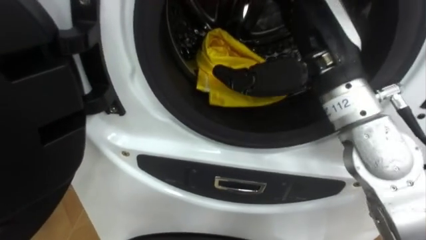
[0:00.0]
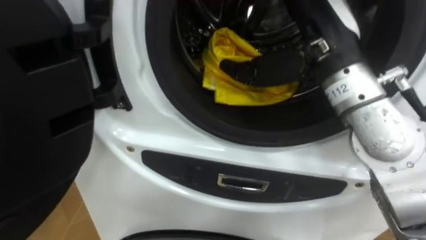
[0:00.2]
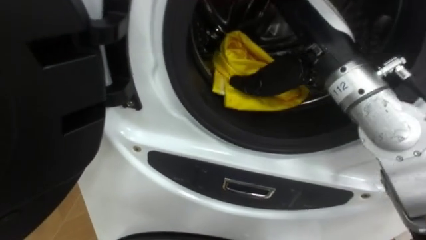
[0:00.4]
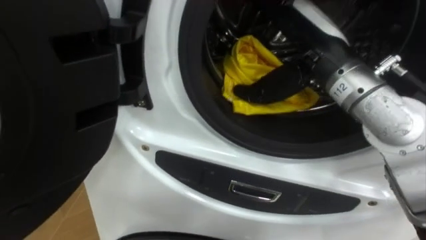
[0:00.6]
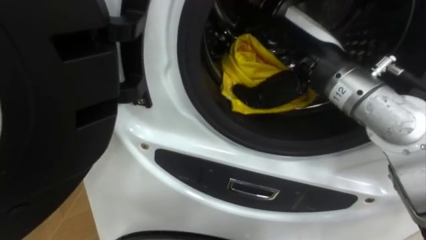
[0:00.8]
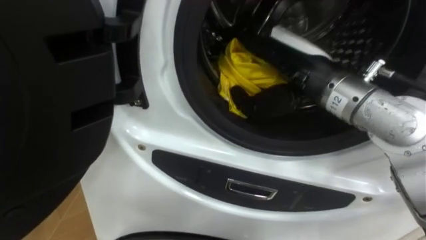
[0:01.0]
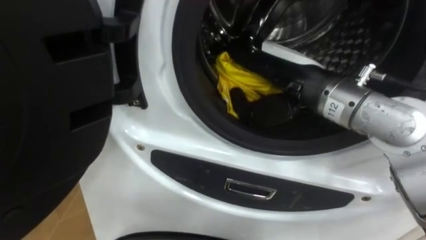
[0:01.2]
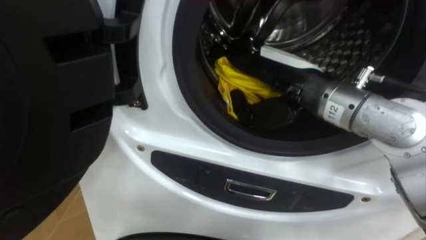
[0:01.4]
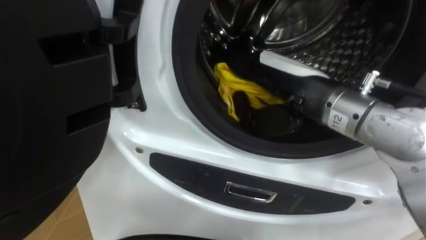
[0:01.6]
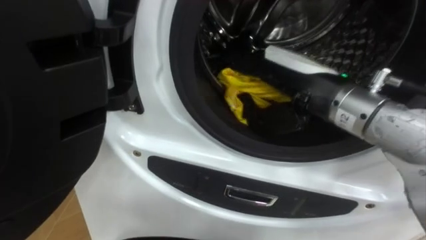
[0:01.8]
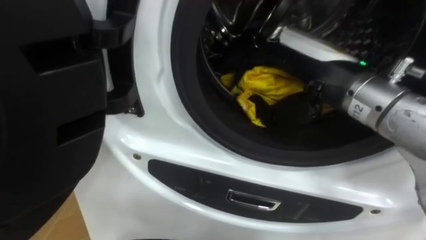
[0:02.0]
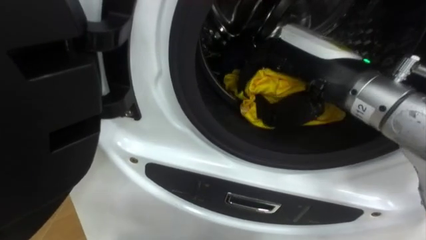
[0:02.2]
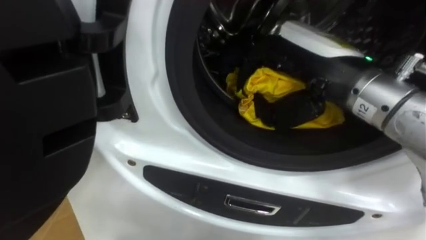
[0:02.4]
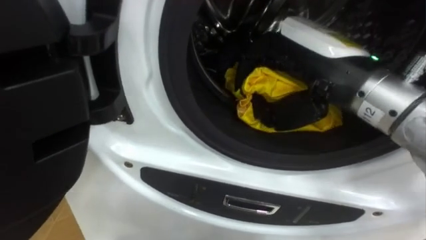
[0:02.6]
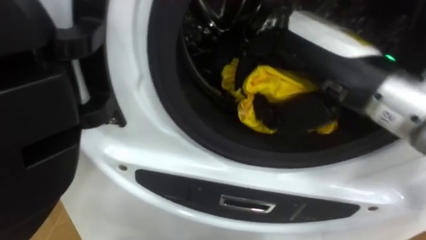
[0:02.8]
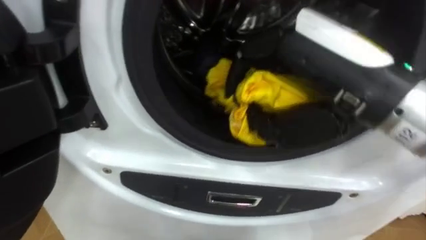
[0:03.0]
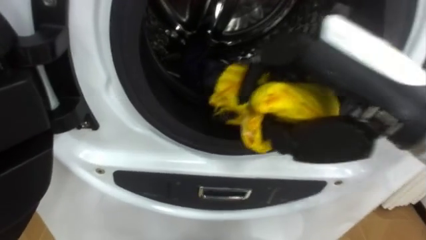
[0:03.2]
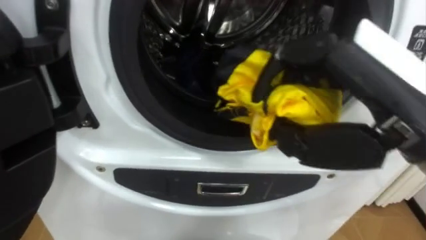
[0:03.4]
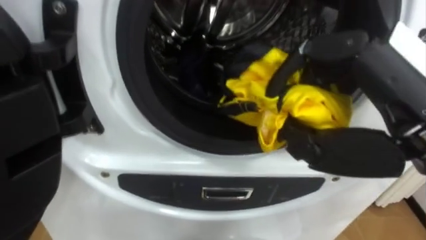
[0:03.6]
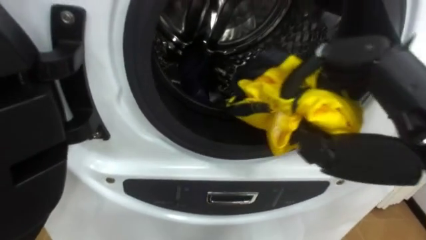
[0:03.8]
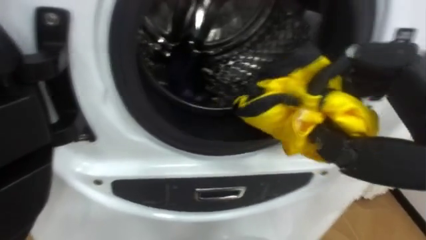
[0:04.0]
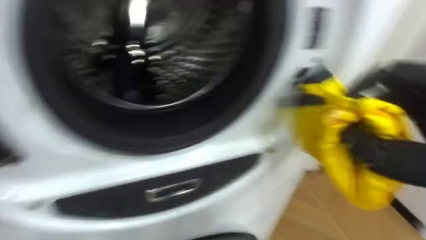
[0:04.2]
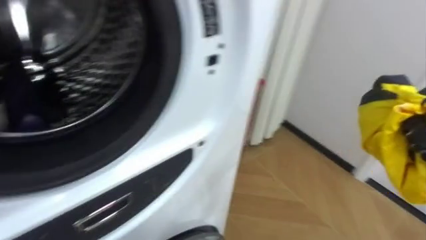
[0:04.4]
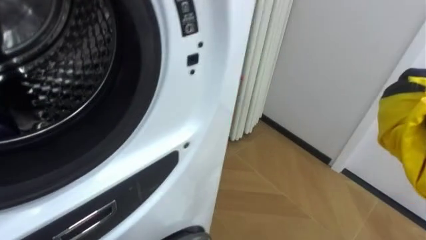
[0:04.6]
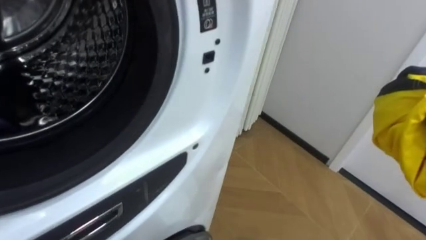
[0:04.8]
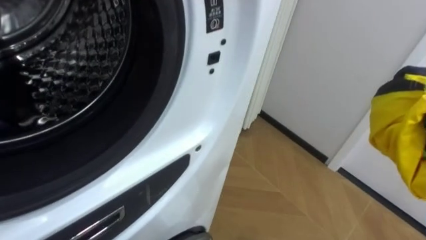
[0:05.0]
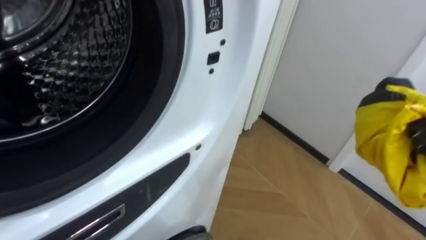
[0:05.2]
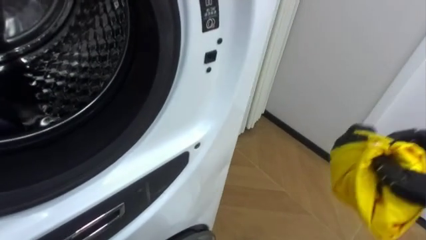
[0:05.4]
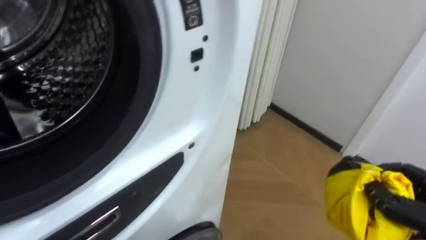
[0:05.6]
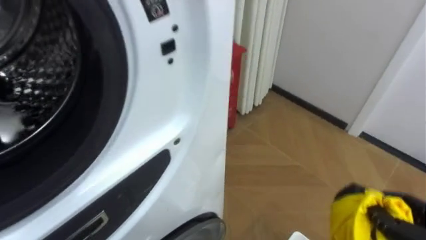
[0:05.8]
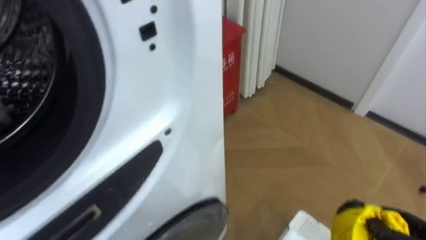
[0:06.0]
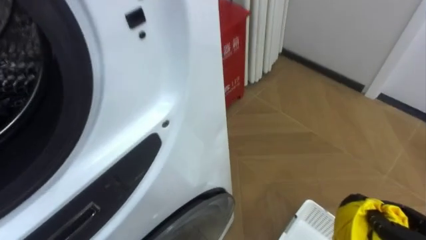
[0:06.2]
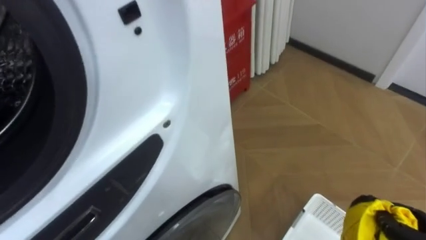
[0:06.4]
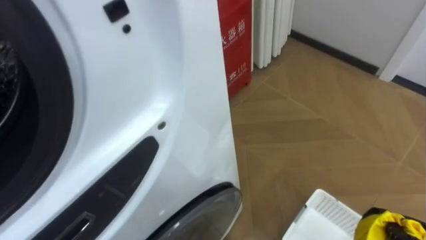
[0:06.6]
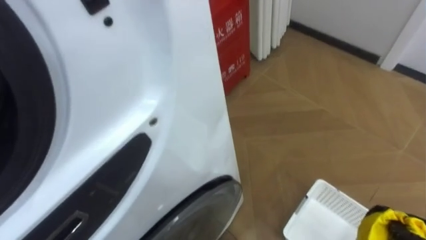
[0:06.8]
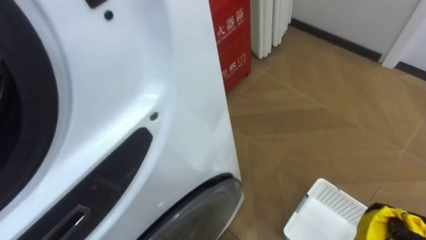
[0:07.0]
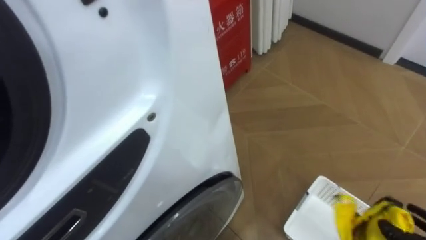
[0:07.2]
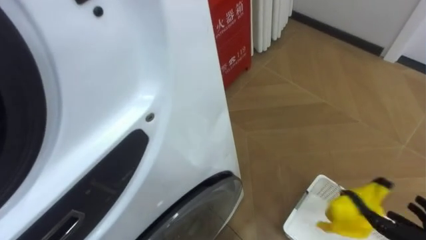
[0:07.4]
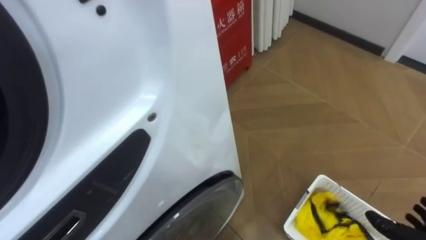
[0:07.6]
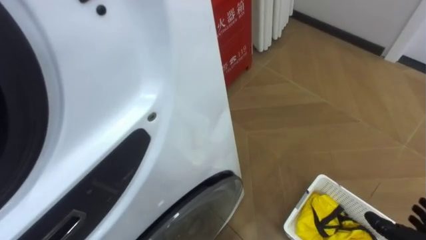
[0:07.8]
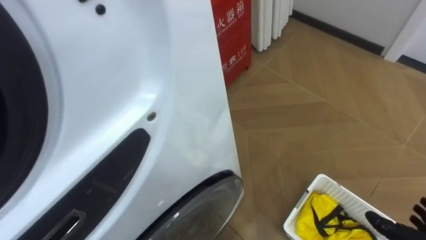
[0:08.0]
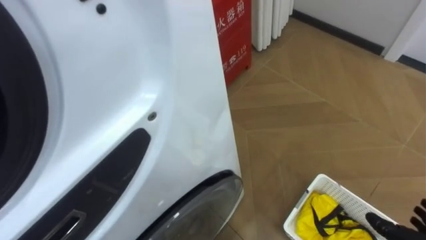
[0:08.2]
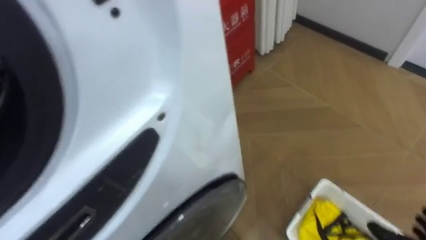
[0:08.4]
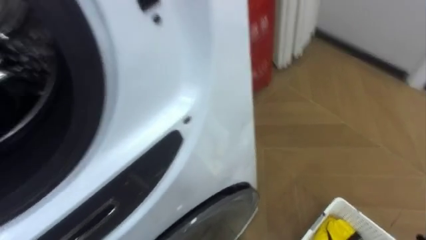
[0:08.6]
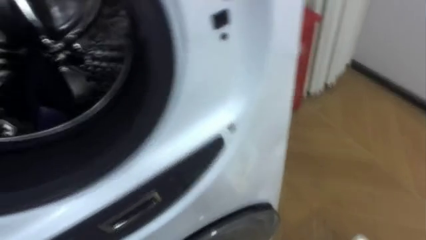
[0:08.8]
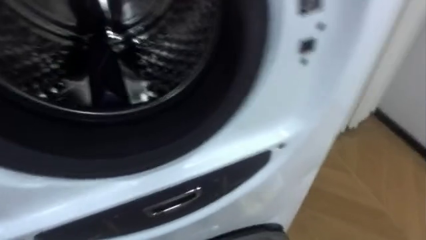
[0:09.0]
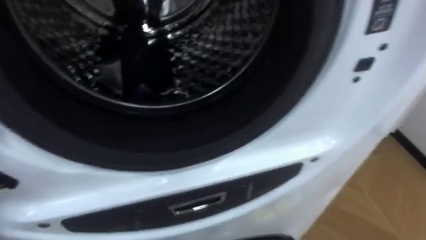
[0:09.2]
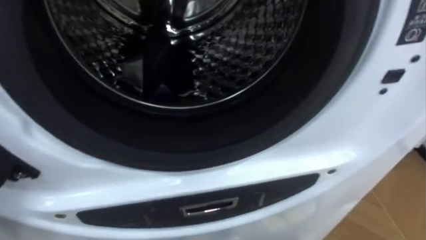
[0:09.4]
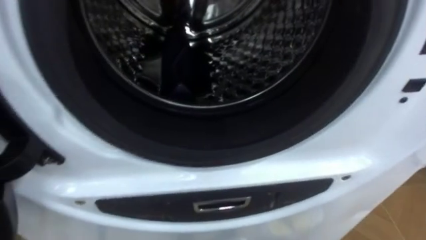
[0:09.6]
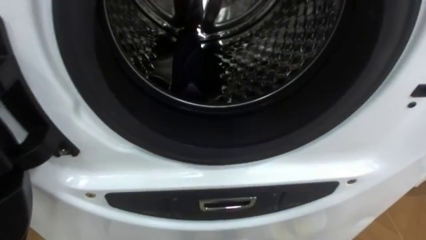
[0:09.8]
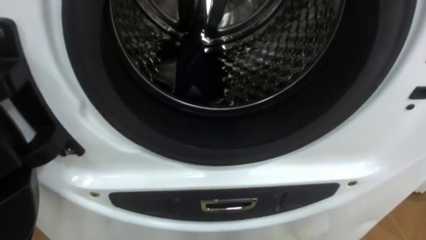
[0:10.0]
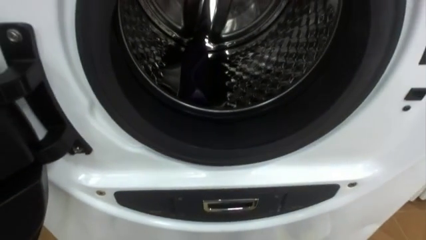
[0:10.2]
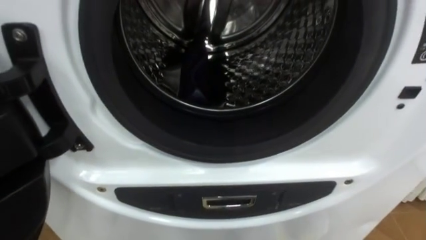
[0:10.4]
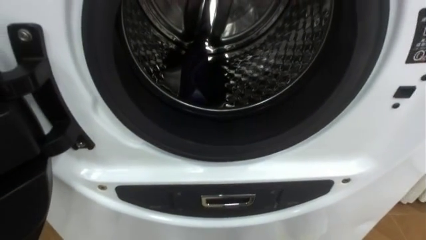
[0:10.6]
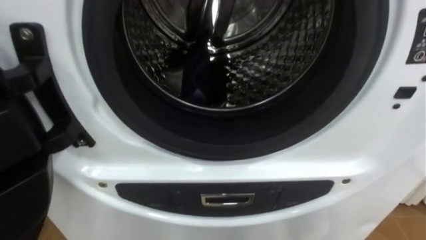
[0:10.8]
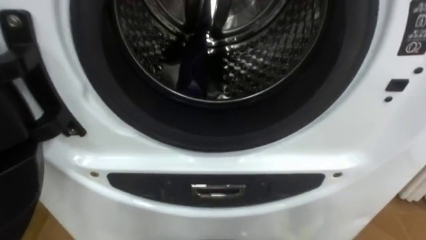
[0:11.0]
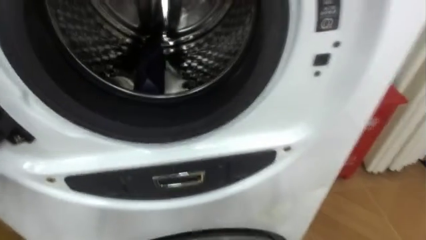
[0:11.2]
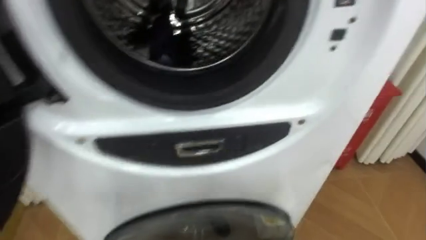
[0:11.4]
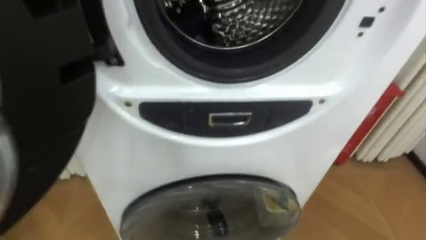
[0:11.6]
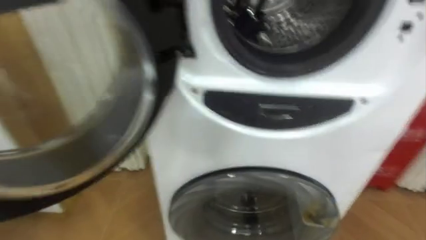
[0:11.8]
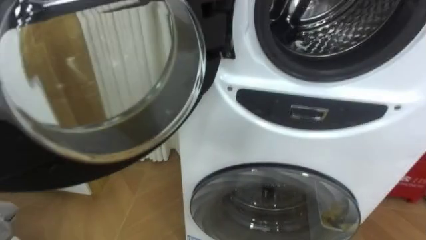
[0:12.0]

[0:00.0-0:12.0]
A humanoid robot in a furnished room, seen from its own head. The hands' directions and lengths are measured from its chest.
Task of the whole recording: Open the washing machine door, take out the yellow clothes, place them in the box on the right, and close the washing machine door.
0:00.0 to 0:01.6: The right hand is displaced downward by some 5 cm.
0:01.6 to 0:03.0: The right hand moves upward and backward, roughly 10 cm, and closes up.
0:10.4 to 0:12.0: The robot turns to its left by some 15 degrees.

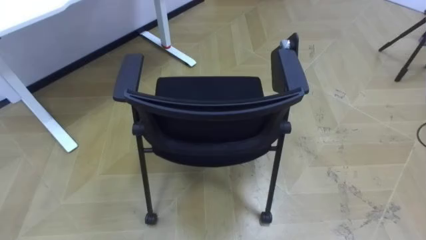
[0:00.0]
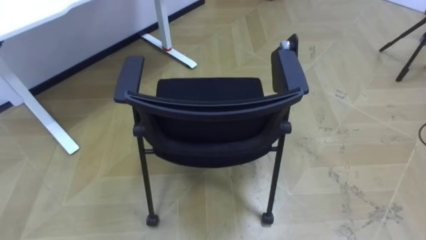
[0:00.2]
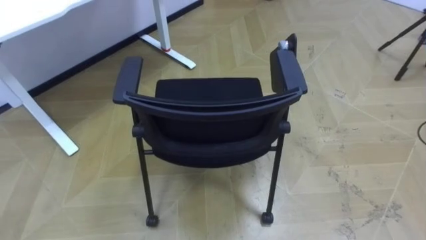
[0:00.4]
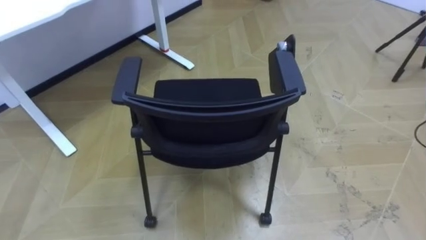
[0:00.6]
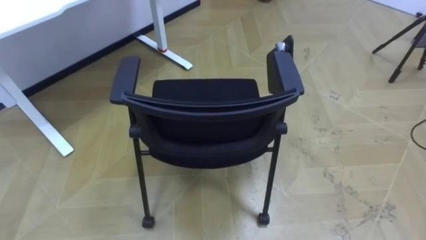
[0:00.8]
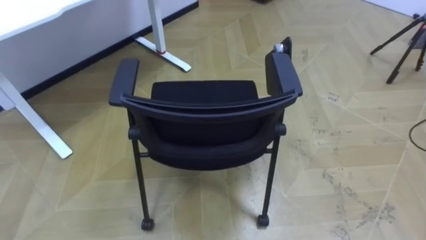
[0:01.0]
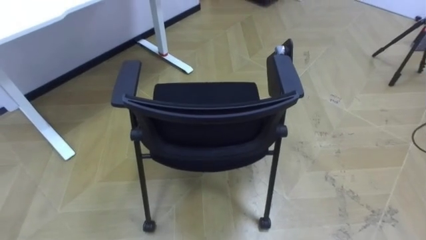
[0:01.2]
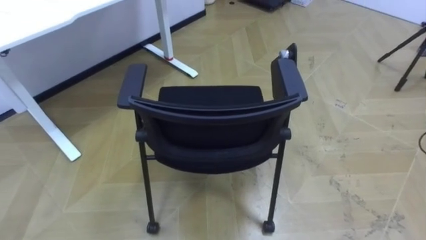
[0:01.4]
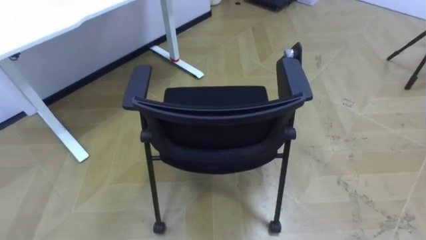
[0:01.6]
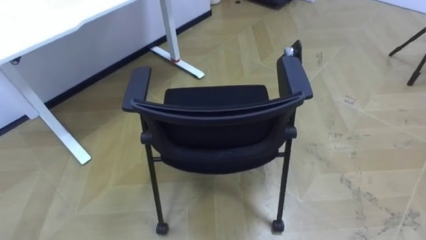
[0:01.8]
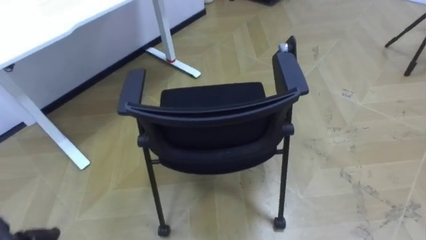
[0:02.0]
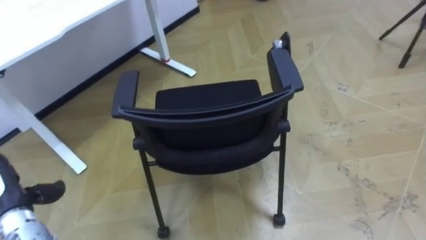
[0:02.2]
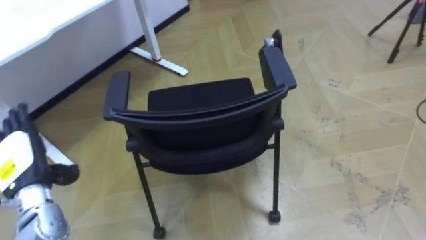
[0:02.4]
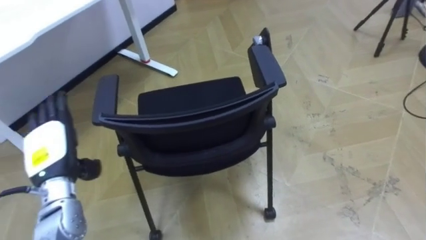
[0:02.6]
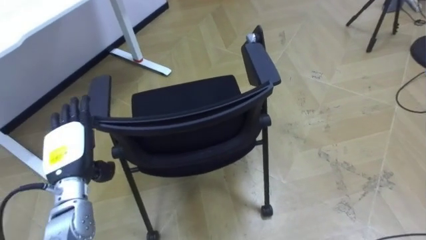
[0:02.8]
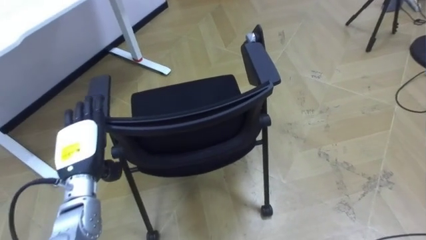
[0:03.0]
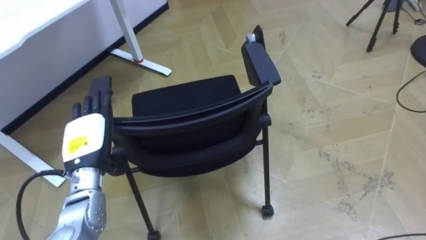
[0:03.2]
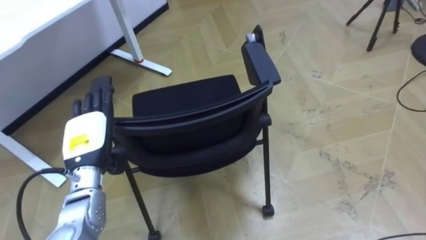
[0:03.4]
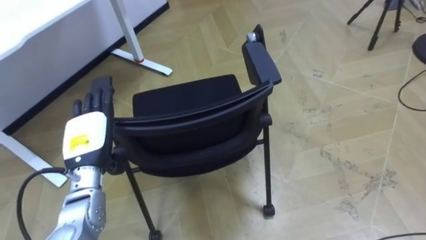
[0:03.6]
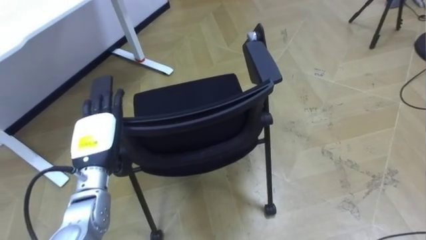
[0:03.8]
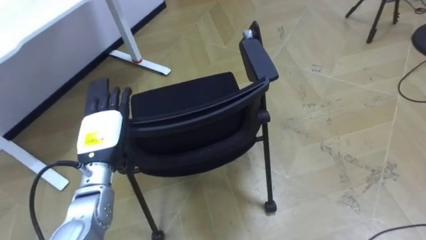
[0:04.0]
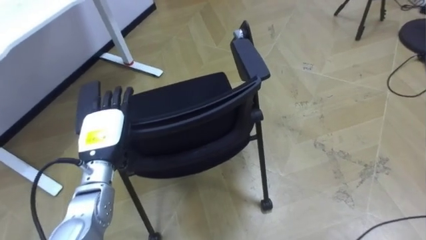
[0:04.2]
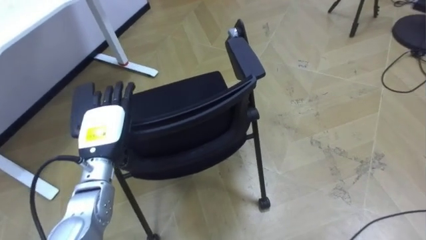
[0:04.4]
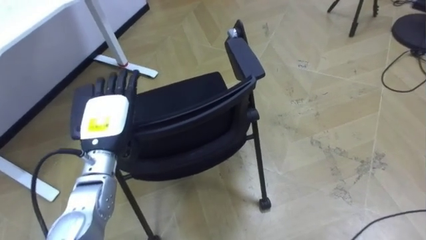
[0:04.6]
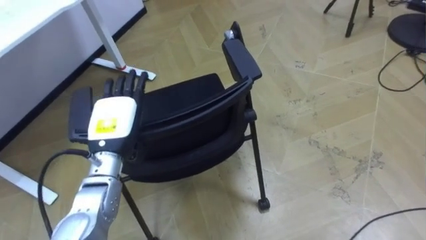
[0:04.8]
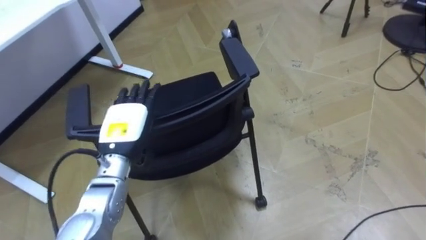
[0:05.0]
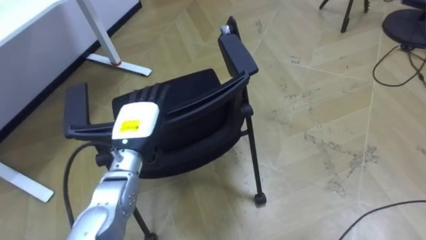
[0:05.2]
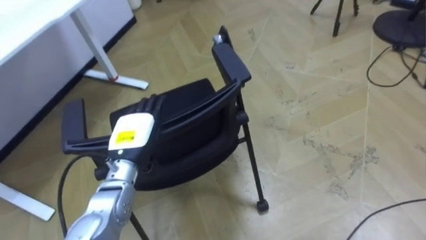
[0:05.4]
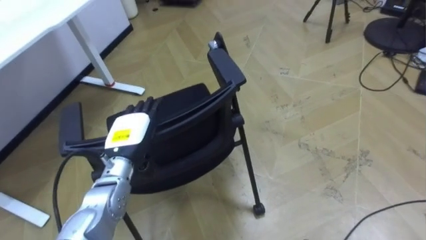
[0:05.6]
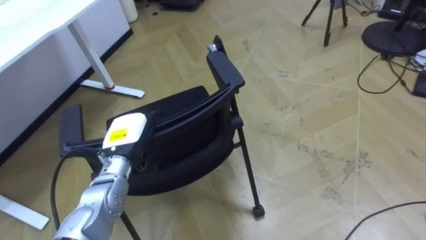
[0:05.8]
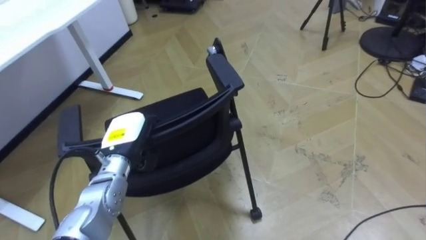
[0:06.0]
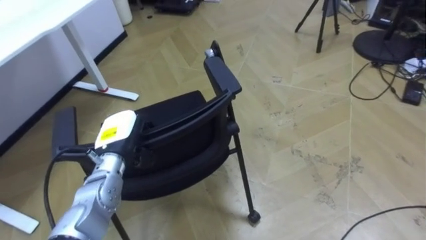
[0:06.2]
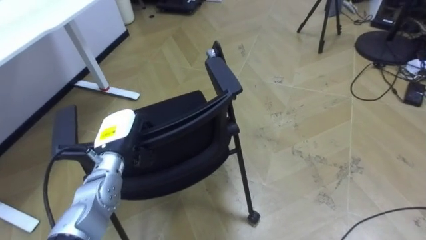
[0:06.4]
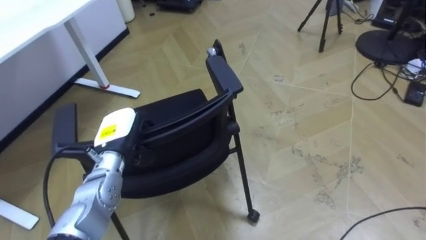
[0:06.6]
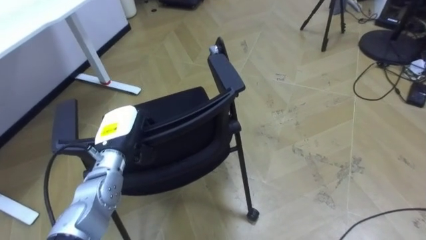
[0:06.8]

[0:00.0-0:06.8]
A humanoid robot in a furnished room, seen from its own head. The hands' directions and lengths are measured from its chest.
Task of the whole recording: Push the chair under the table.
0:02.8 to 0:04.0: The left hand travels to the right by approximately 5 cm.
0:04.0 to 0:05.4: The left hand heads to the right, covering approximately 5 cm.
0:05.4 to 0:06.8: The left hand closes.
